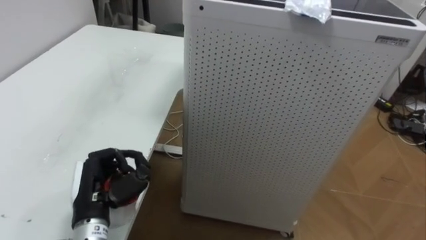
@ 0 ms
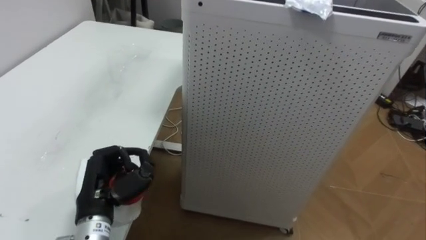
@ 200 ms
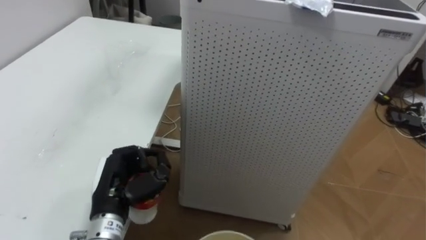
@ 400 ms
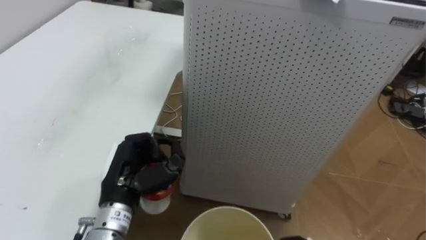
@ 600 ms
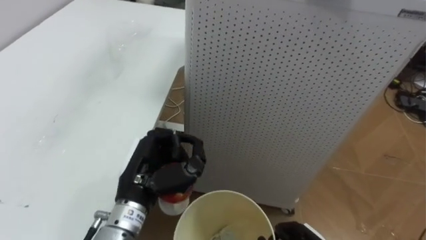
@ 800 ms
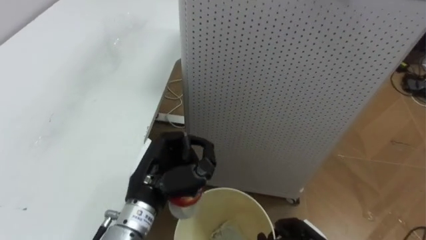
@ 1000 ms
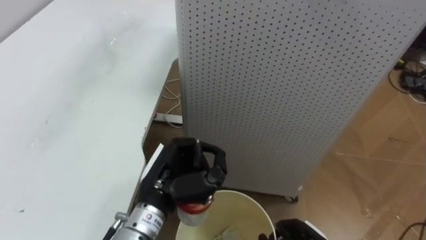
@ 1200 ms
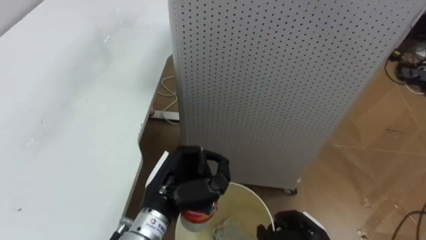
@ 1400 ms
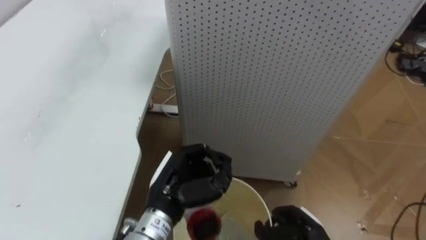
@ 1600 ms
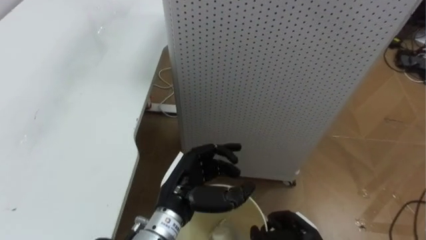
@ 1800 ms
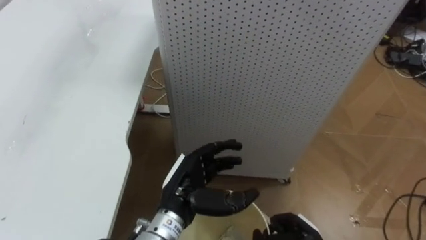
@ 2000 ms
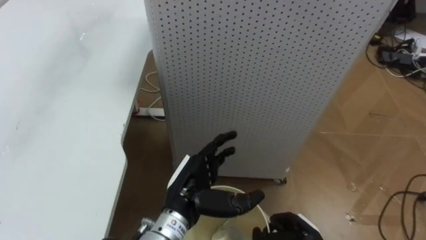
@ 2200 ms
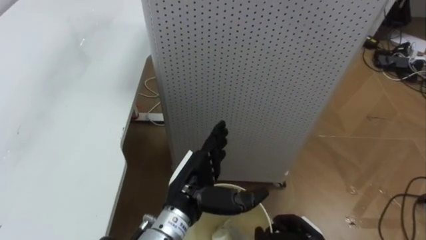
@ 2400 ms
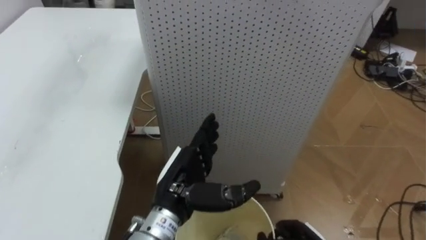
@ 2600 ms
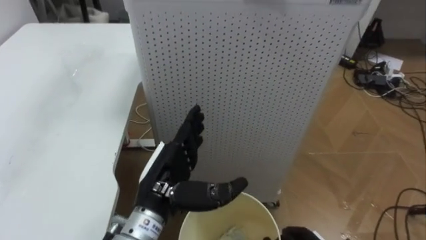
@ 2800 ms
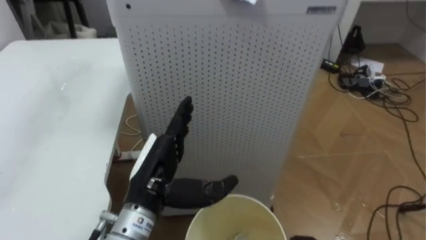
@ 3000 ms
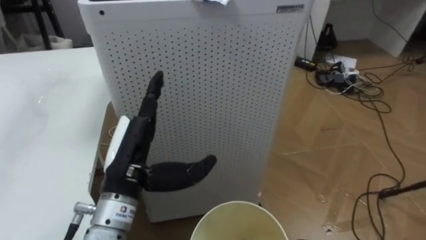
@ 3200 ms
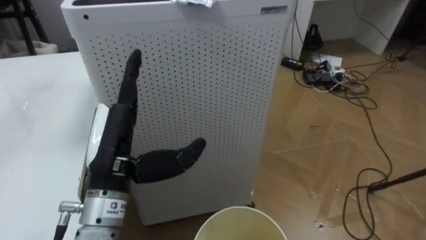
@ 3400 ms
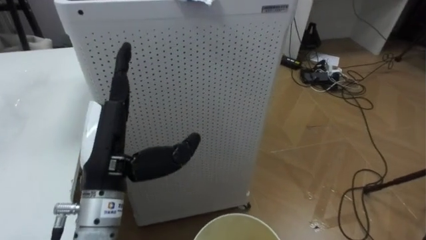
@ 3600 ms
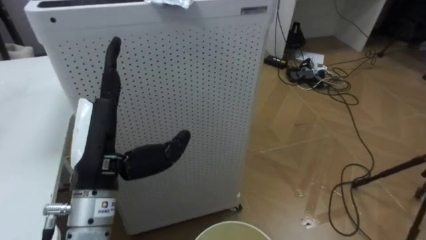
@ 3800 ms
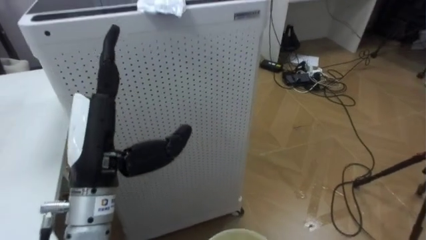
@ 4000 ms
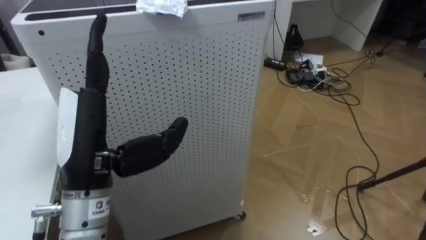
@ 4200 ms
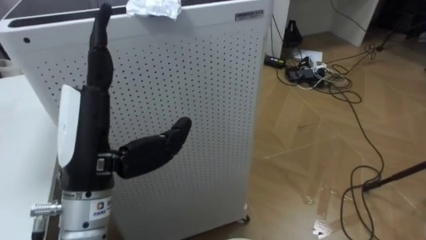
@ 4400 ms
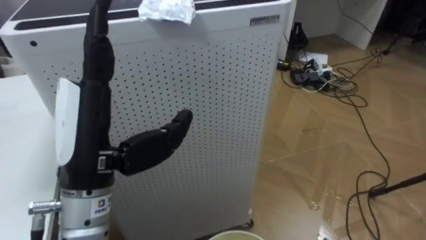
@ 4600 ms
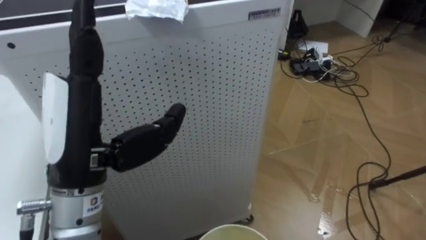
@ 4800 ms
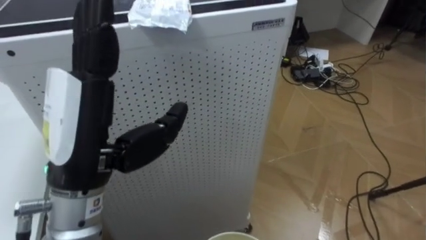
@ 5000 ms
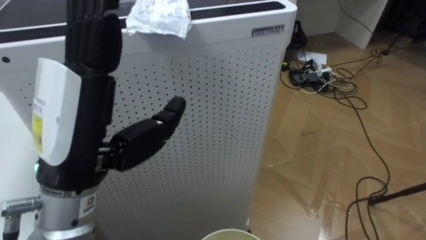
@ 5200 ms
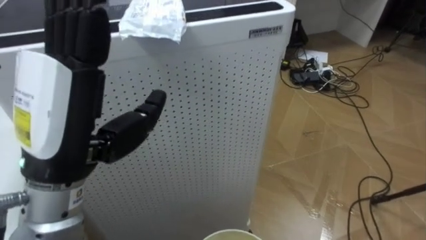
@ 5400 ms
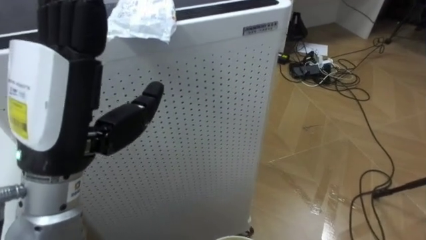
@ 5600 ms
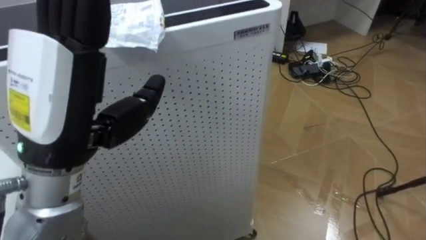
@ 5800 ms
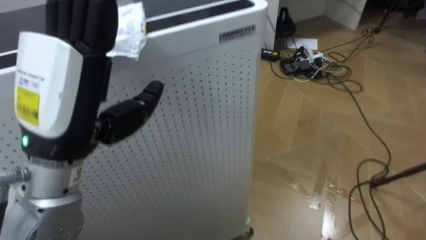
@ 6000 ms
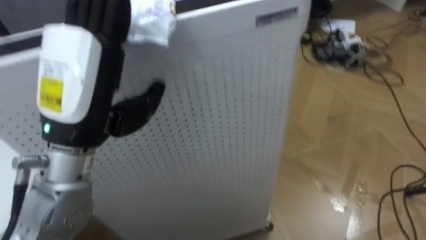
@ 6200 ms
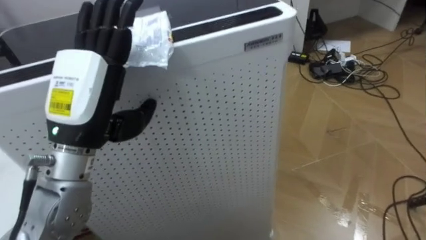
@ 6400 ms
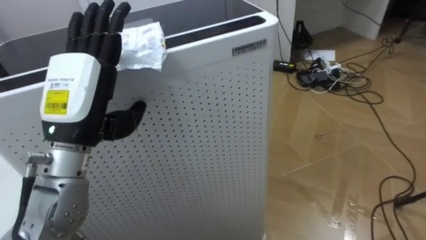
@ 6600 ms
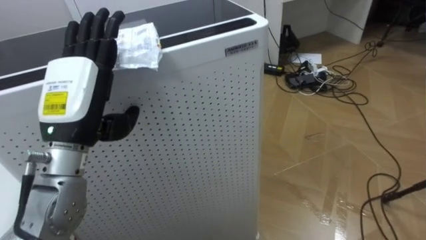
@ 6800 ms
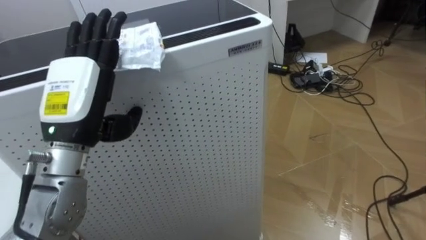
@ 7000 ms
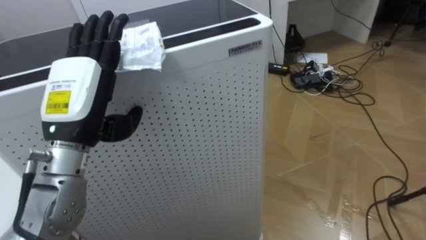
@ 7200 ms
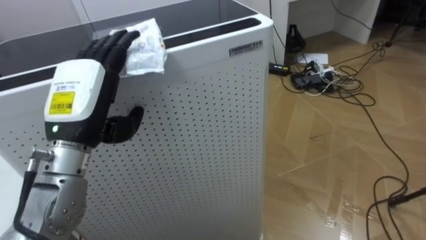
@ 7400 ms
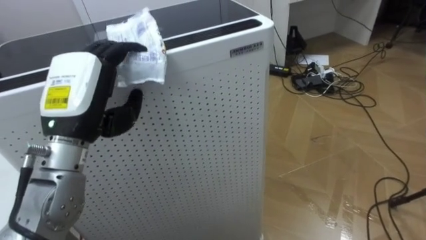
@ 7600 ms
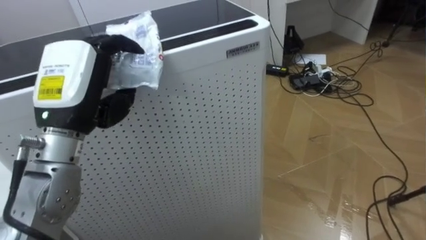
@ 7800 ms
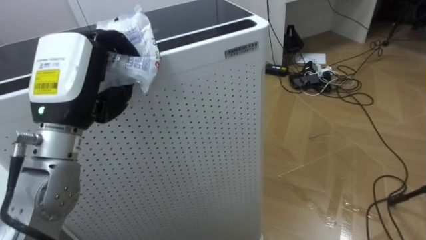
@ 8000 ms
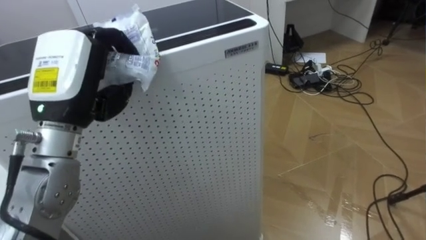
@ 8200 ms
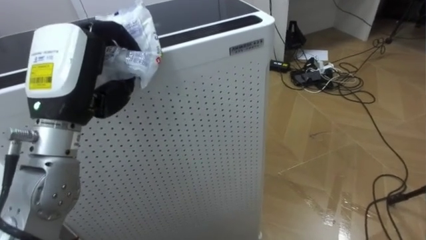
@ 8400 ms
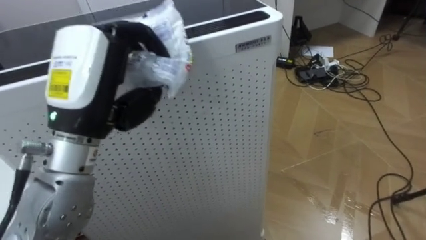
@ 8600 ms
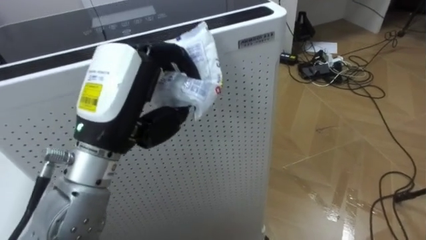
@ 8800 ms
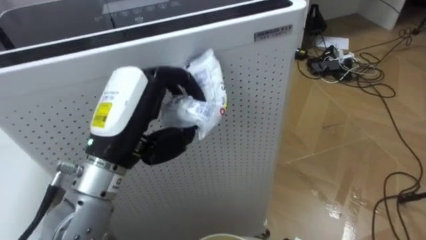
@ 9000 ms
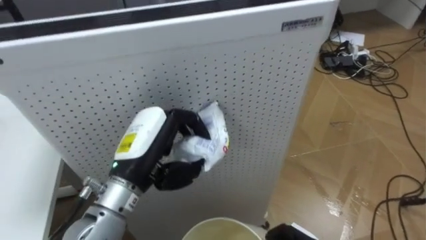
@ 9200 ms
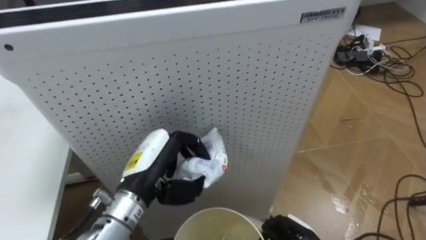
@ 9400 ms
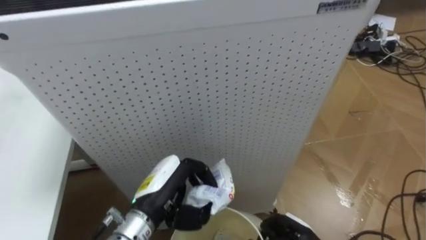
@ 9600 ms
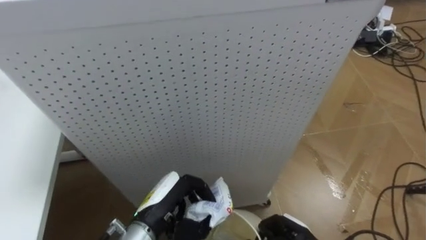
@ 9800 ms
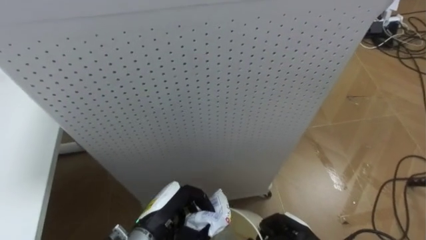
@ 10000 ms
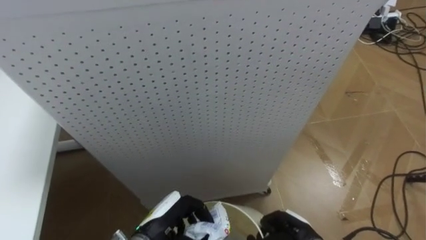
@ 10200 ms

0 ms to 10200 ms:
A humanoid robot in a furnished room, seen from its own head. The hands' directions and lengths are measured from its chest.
Task of the whole recording: Pick up the light blue package, the candy box, and the dark blue package separately, and put them into the trash can held in your right hand.
0 ms to 1400 ms: The left hand goes about 15 cm to the right.
1400 ms to 3000 ms: The left hand opens its fingers.
3000 ms to 4400 ms: The robot rotates approximately 20 degrees to its right. The left hand moves upward and to the left, roughly 15 cm.
4400 ms to 5800 ms: The left hand shifts some 5 cm upward.
5800 ms to 7200 ms: The left hand is displaced forward and downward by about 10 cm.
7200 ms to 8800 ms: The left hand moves to the right, about 5 cm, and closes.
8800 ms to 10200 ms: The left hand travels downward by roughly 30 cm.

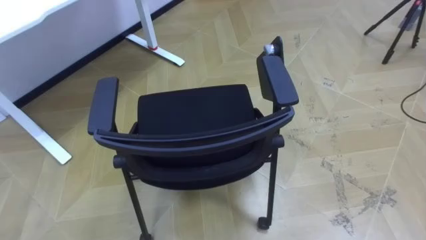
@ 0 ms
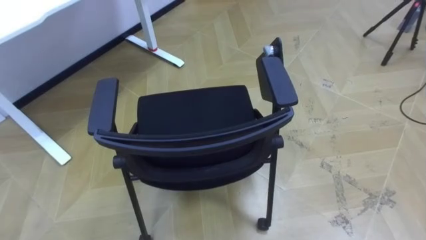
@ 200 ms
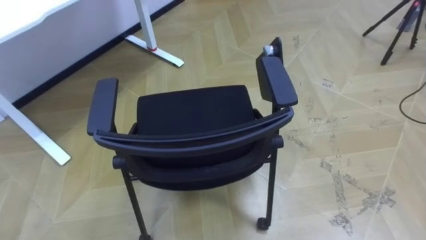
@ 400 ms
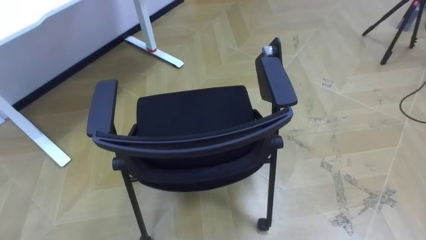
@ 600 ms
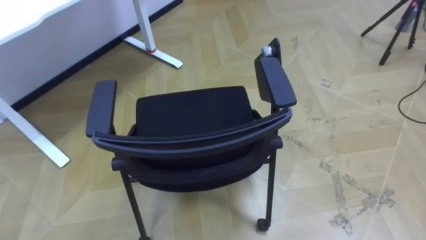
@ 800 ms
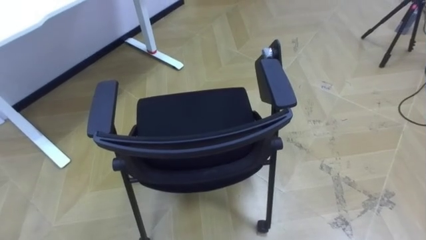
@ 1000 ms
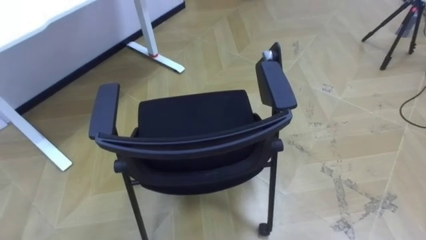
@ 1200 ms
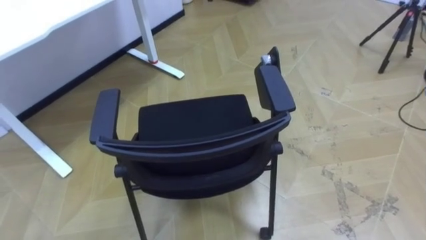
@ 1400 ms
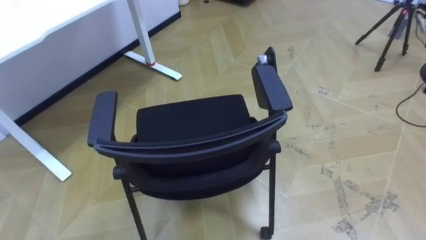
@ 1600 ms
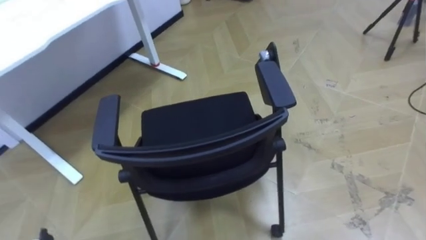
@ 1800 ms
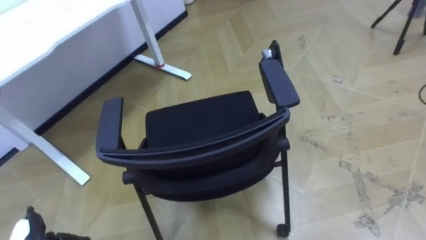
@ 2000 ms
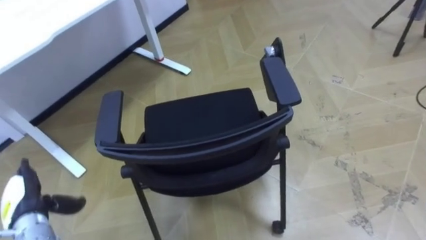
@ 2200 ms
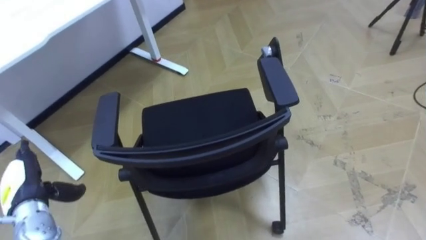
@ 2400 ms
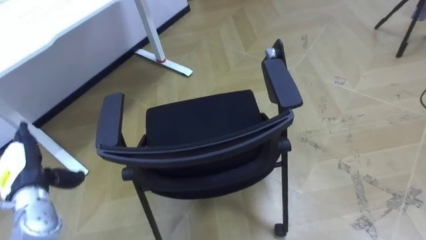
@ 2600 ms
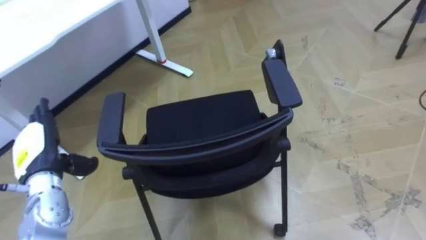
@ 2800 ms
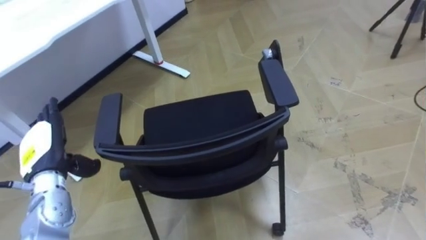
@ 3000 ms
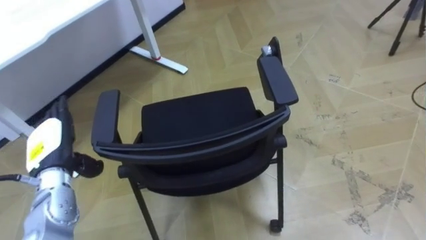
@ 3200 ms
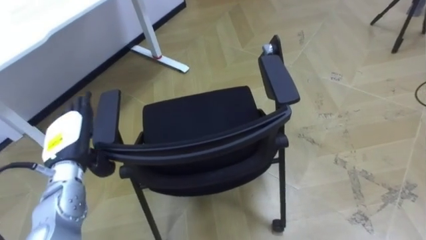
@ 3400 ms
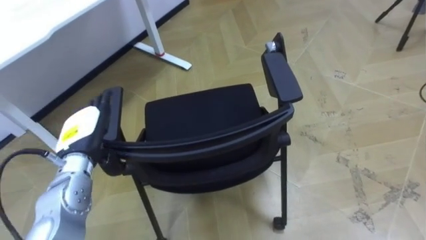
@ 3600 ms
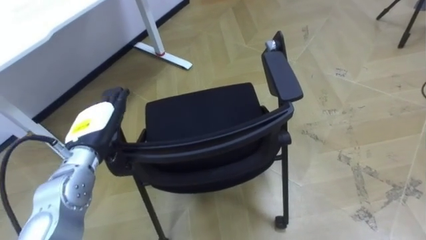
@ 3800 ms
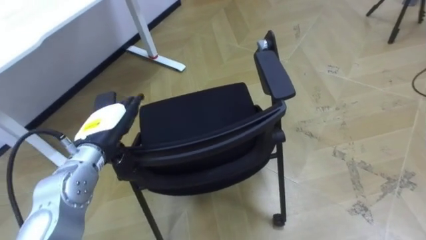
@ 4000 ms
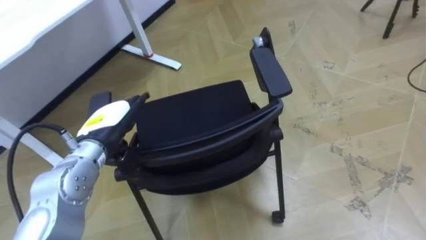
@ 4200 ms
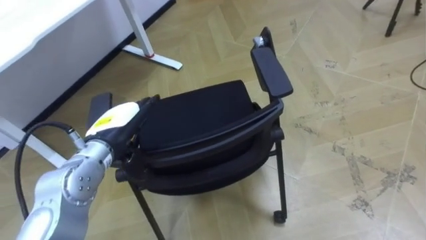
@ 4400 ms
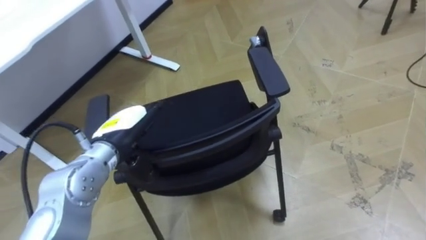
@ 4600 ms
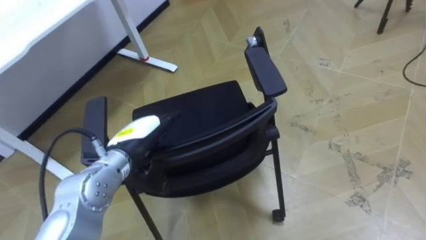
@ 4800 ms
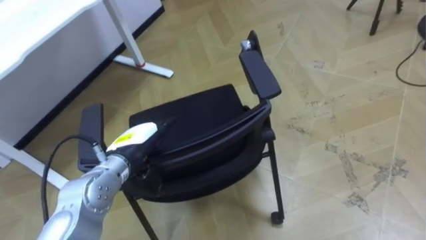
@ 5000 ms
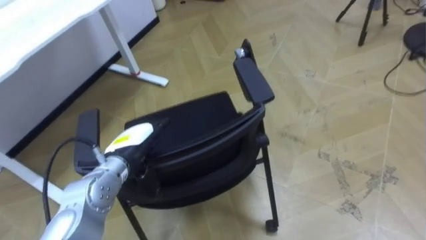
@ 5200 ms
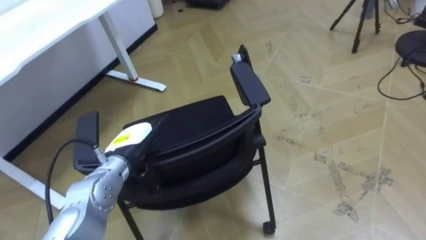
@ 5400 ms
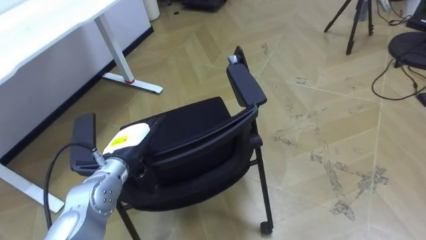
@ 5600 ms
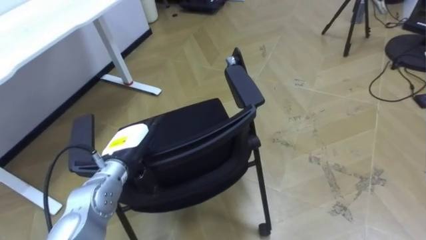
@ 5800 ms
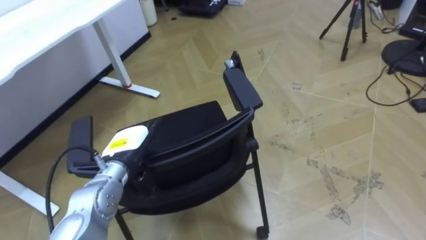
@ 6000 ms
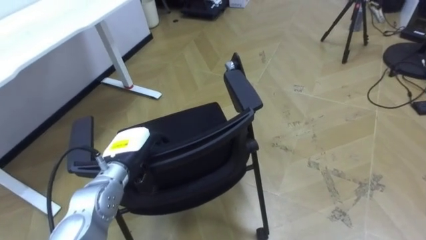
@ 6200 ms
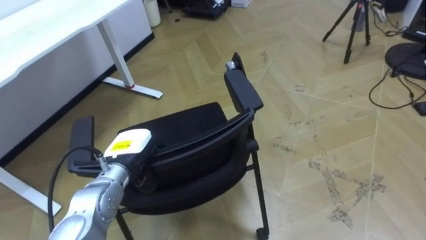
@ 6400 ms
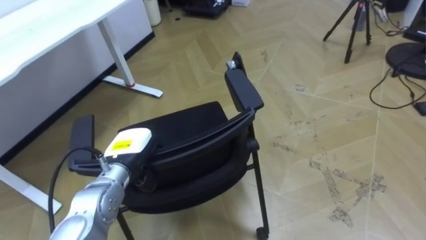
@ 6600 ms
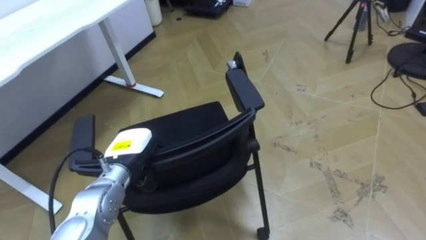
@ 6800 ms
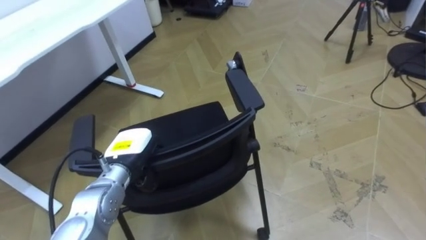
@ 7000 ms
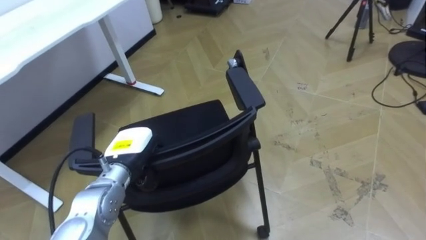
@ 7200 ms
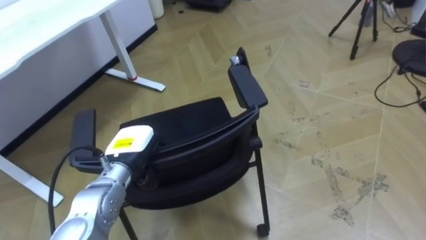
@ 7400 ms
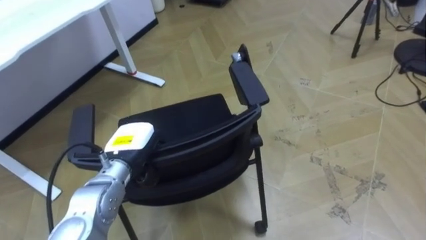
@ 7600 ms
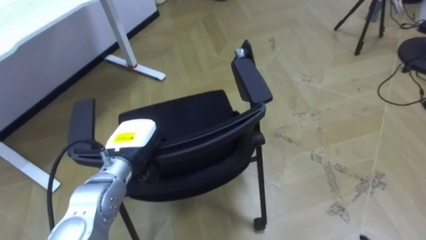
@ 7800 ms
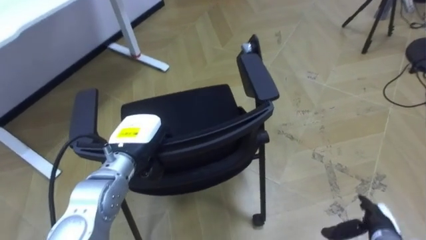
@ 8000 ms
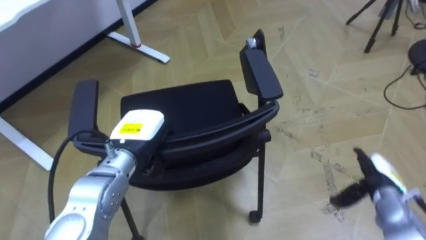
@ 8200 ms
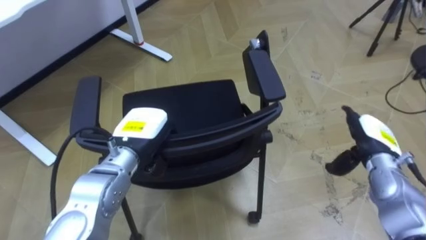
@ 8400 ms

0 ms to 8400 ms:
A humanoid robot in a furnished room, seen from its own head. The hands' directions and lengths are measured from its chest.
Task of the whole recording: Push the chair under the table.
2800 ms to 4200 ms: The left hand shifts roughly 10 cm to the right.
4200 ms to 5600 ms: The left hand is displaced downward by approximately 5 cm.
5600 ms to 7000 ms: The left hand closes.
7000 ms to 8400 ms: The left hand moves upward, some 5 cm.
